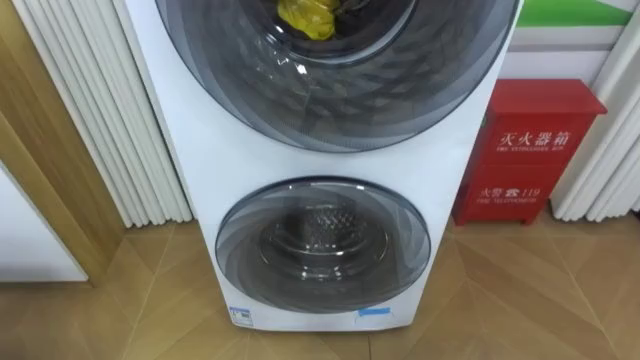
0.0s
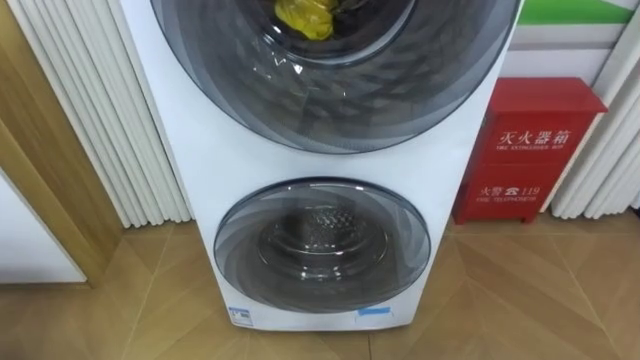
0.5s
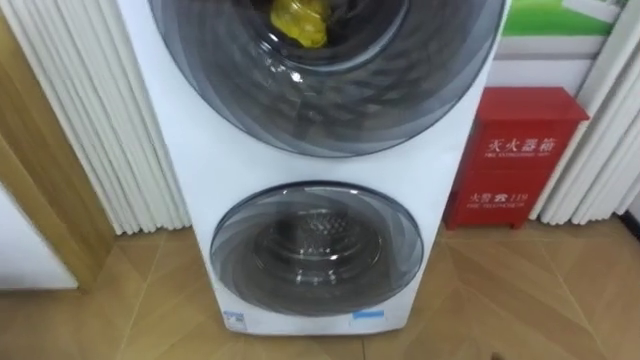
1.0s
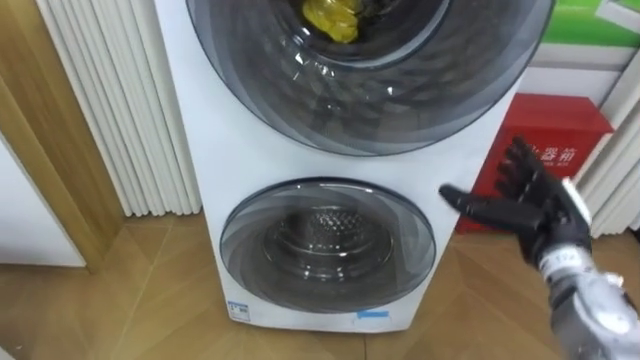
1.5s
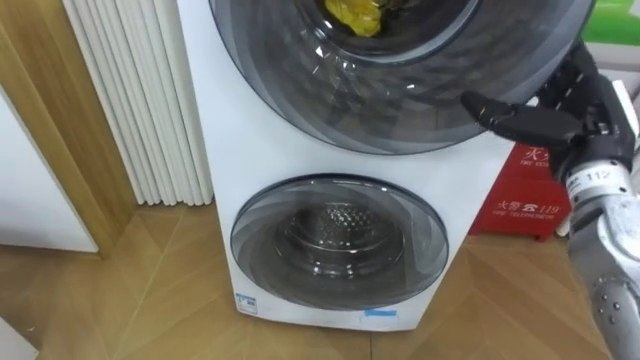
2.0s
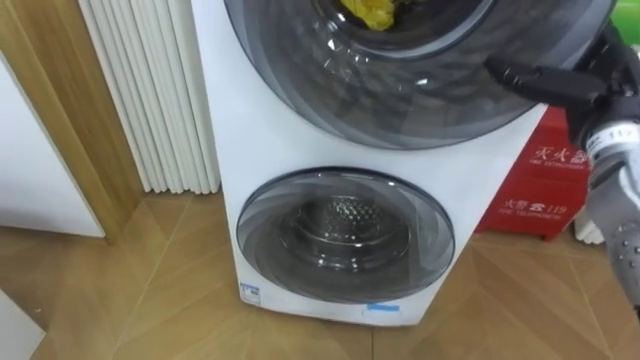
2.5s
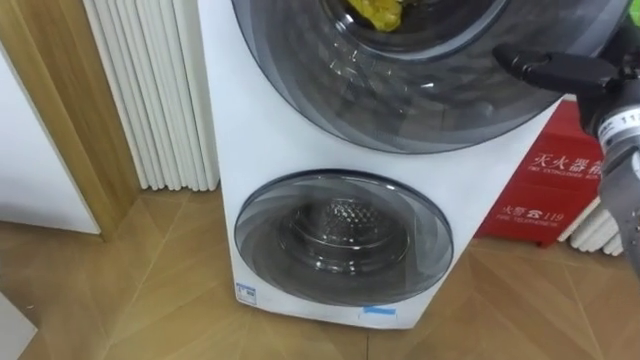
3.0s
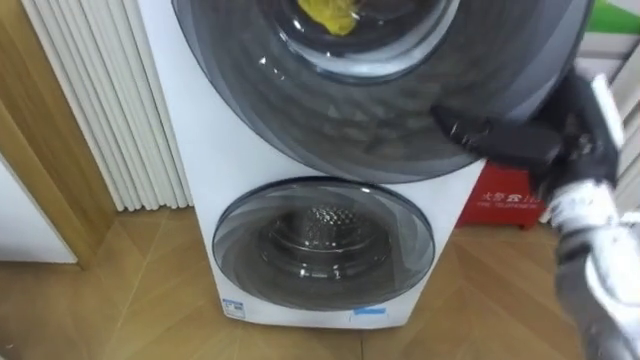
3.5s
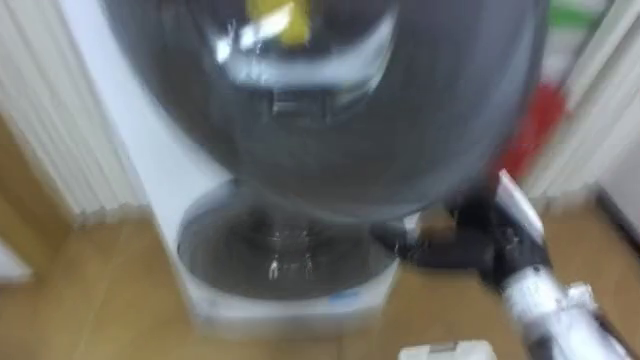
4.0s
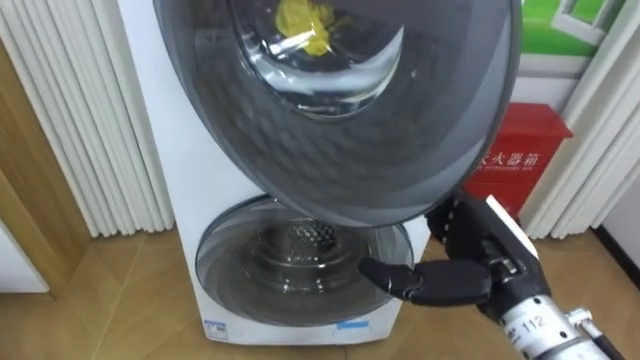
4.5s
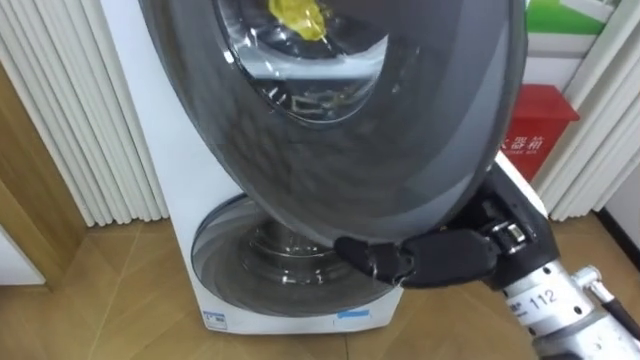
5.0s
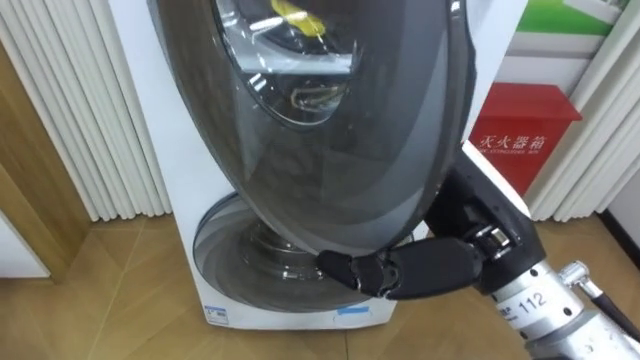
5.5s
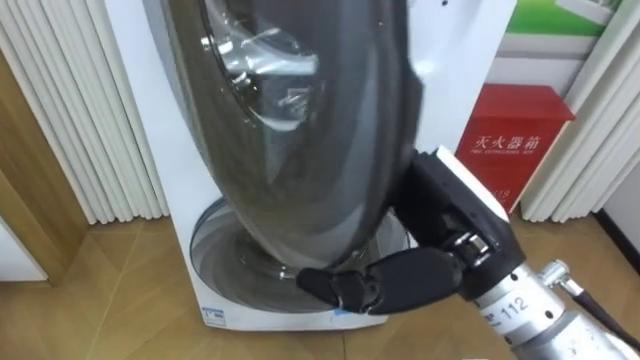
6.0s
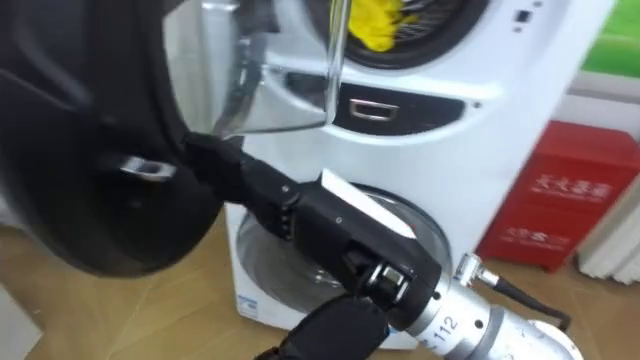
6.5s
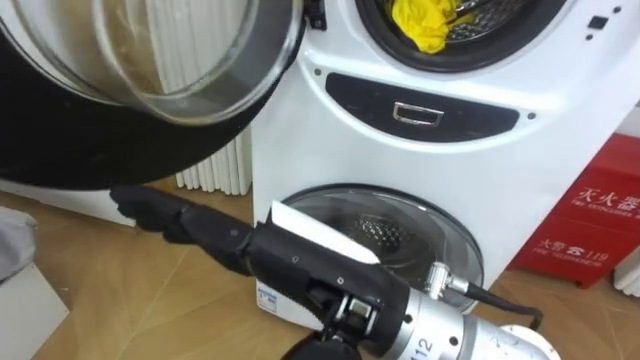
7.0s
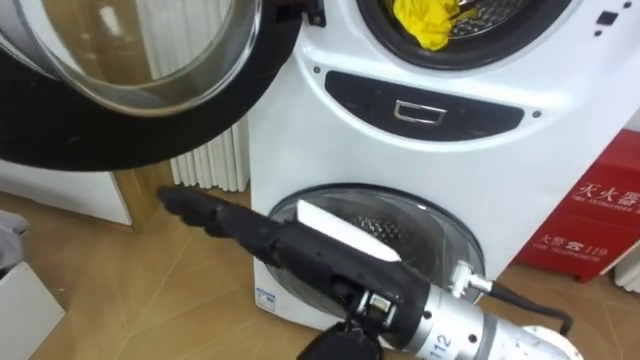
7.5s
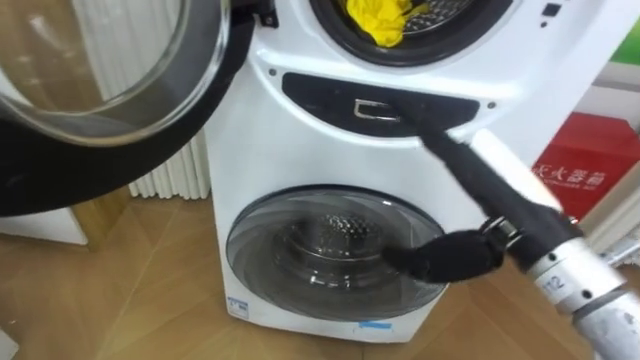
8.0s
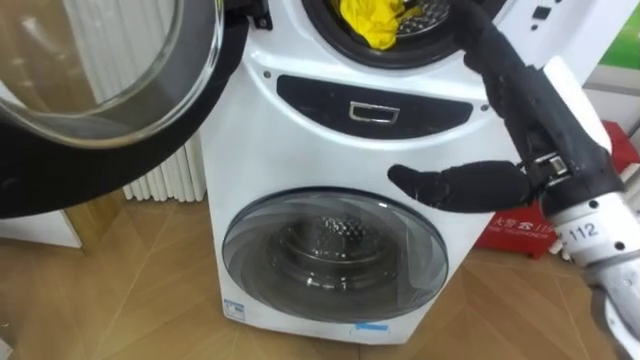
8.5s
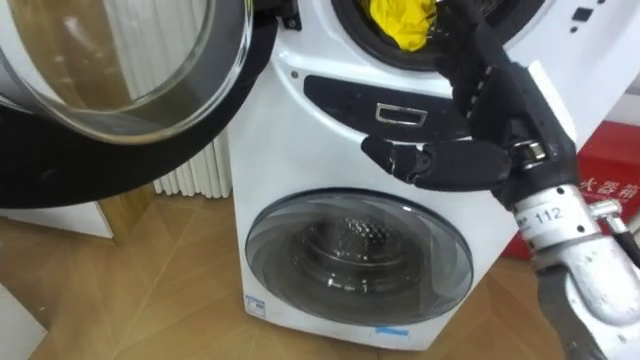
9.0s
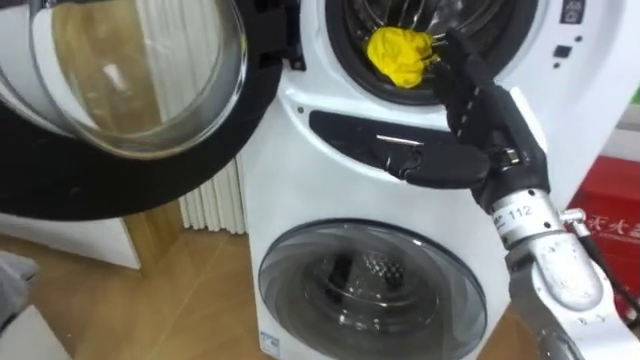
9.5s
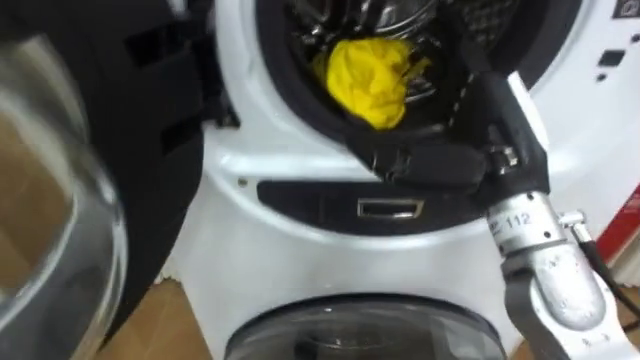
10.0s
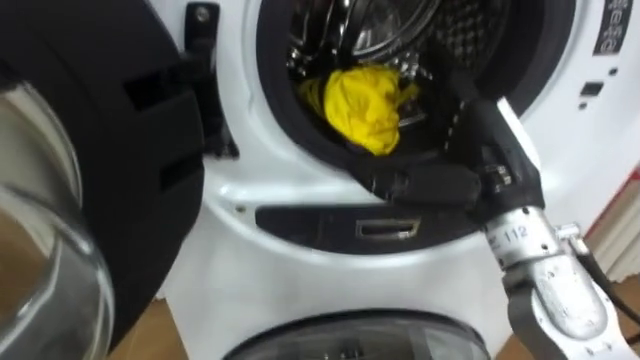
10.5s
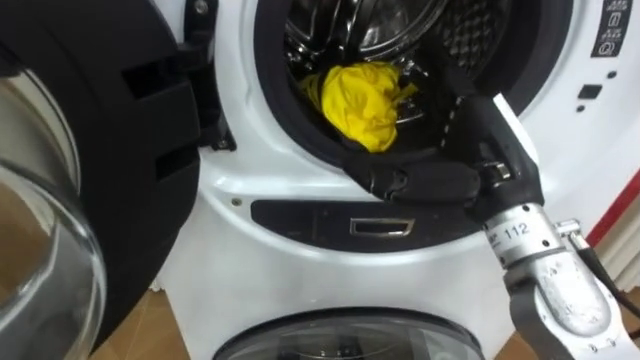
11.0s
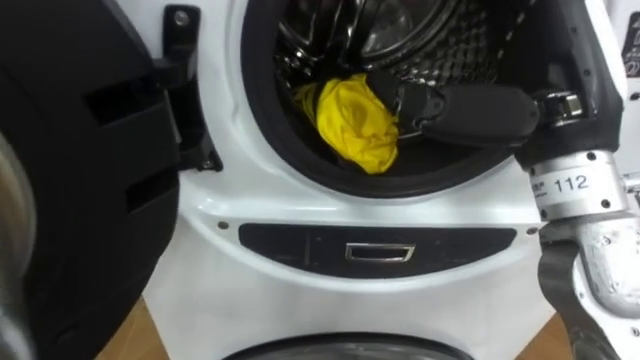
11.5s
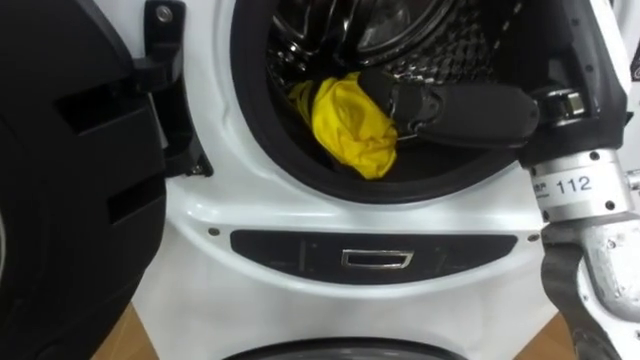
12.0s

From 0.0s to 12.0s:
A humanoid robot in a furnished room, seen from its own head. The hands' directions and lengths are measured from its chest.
Task of the whole recording: Open the washing machine door, take out the yellow clothes, place them in the box on the right, and close the washing machine door.
From 2.0s to 4.0s: The right hand is displaced to the left, backward and downward by some 15 cm.
From 4.0s to 6.0s: The right hand heads upward and to the left, covering about 10 cm.
From 6.0s to 8.0s: The right hand goes to the left and returns, roughly 10 cm each way.
From 8.0s to 10.0s: The right hand changes place by about 5 cm.
From 10.0s to 12.0s: The right hand goes about 10 cm upward.

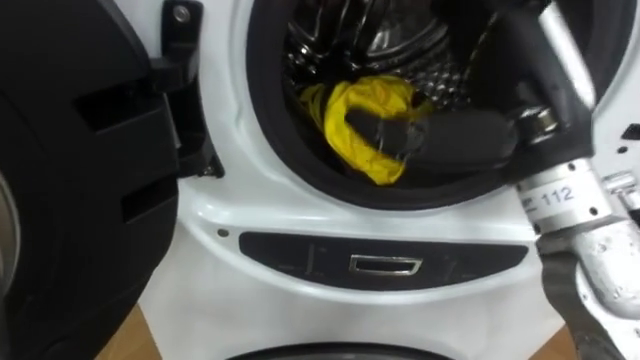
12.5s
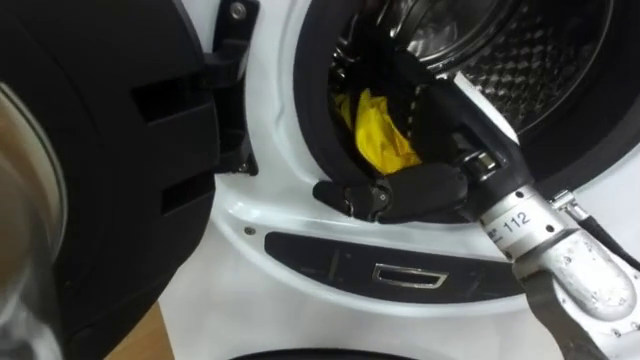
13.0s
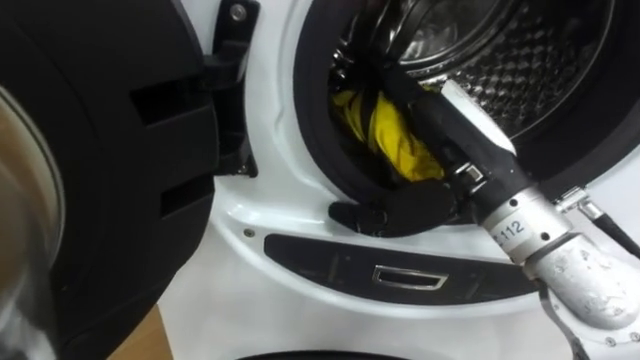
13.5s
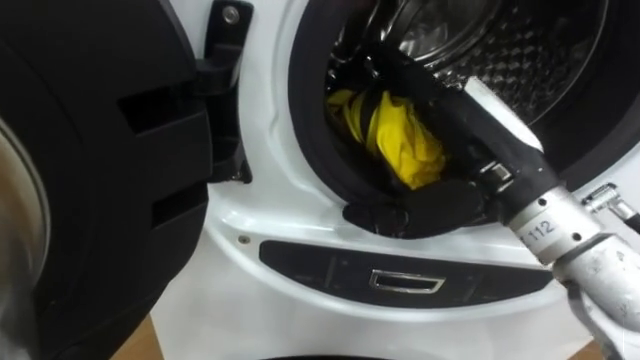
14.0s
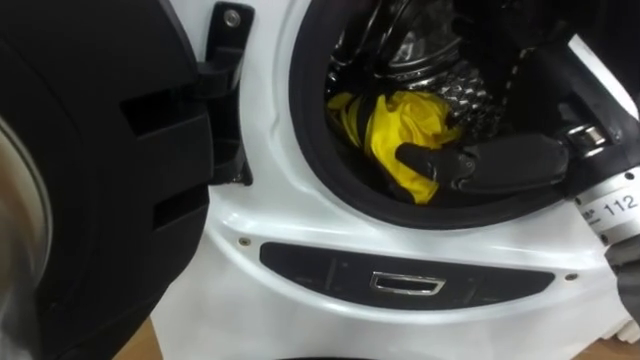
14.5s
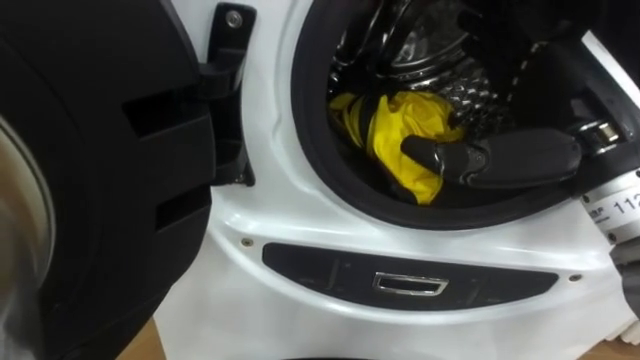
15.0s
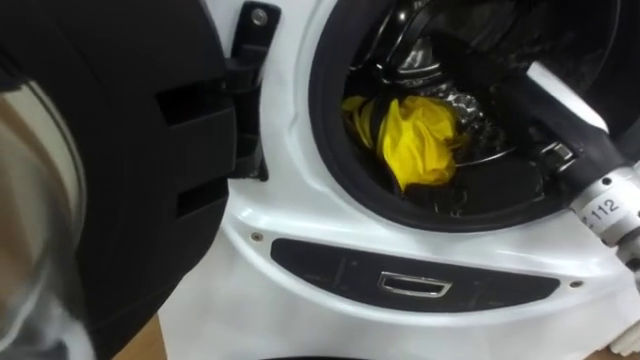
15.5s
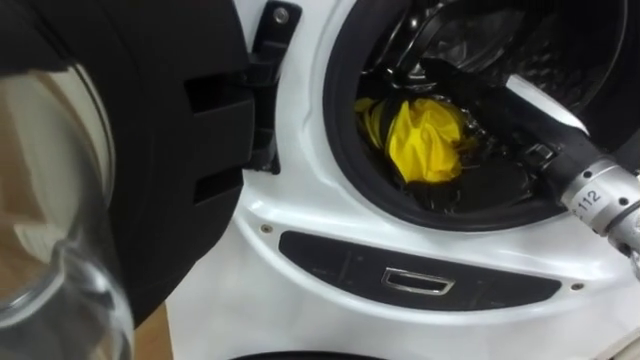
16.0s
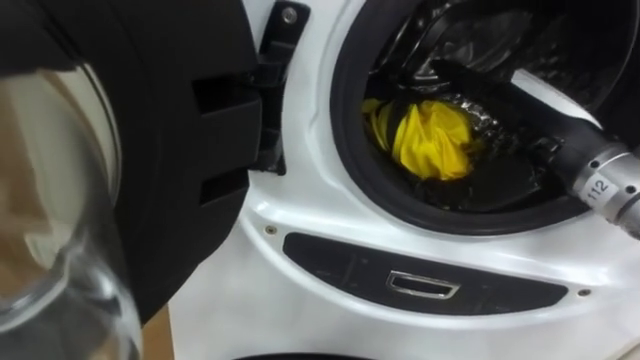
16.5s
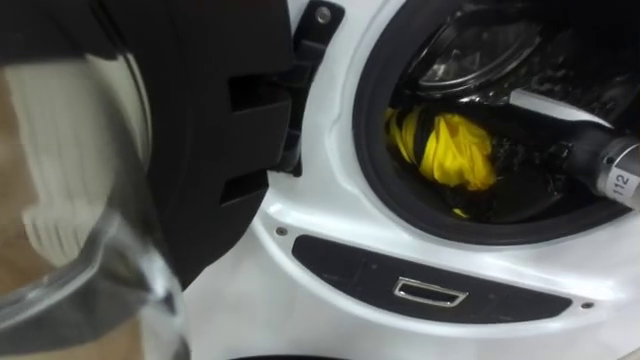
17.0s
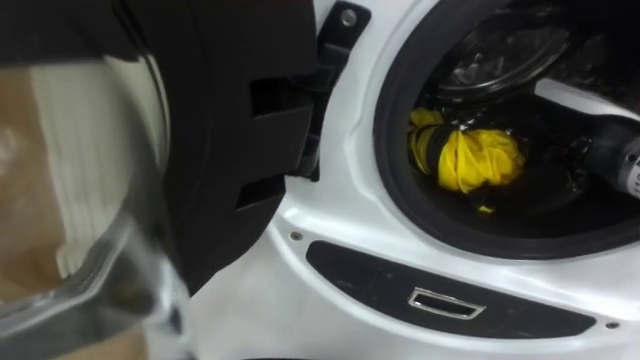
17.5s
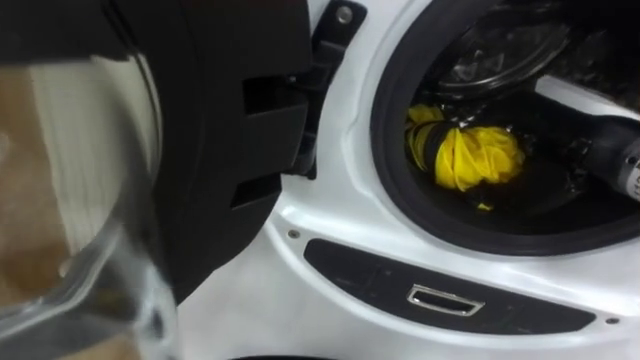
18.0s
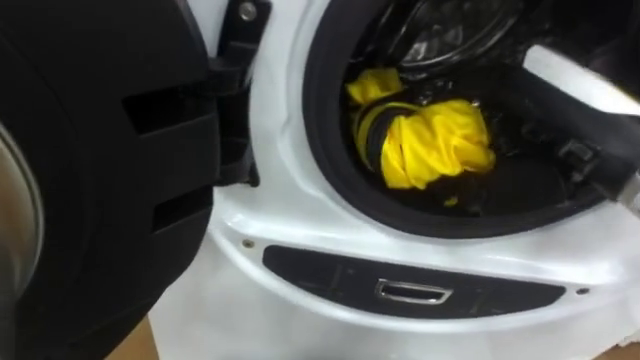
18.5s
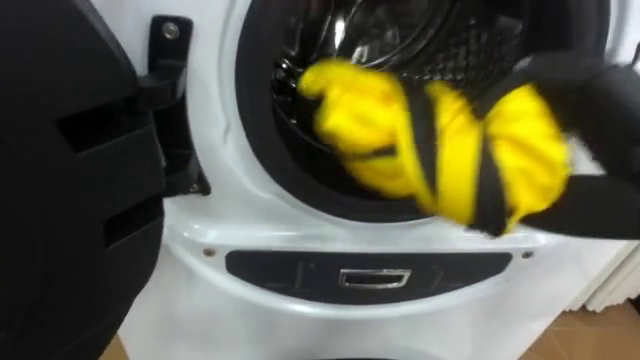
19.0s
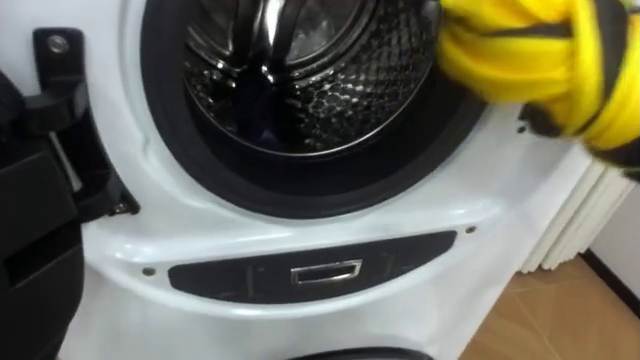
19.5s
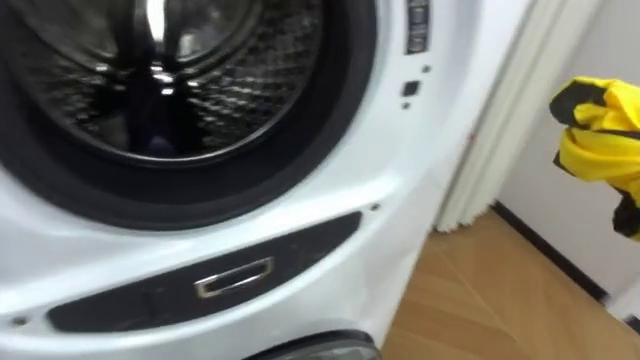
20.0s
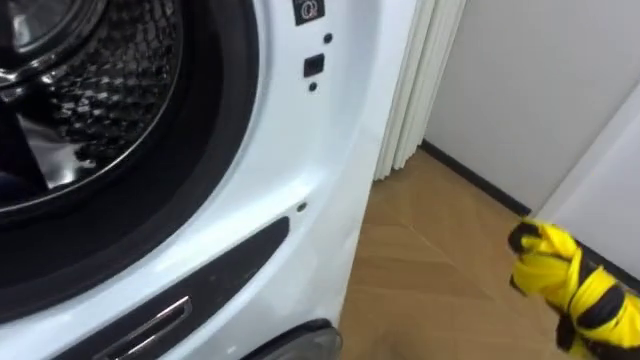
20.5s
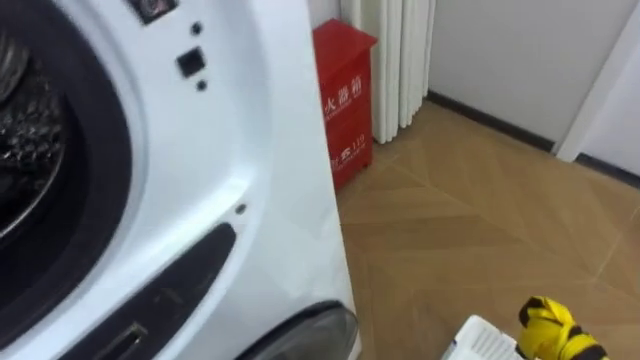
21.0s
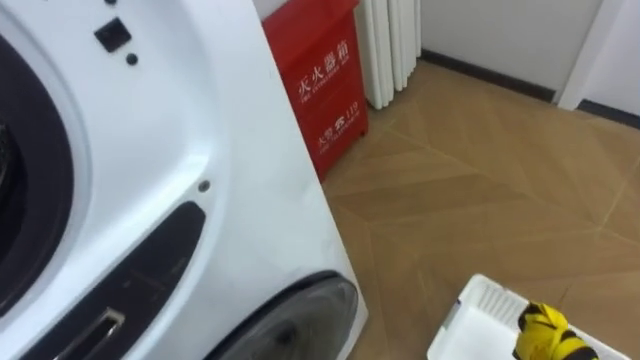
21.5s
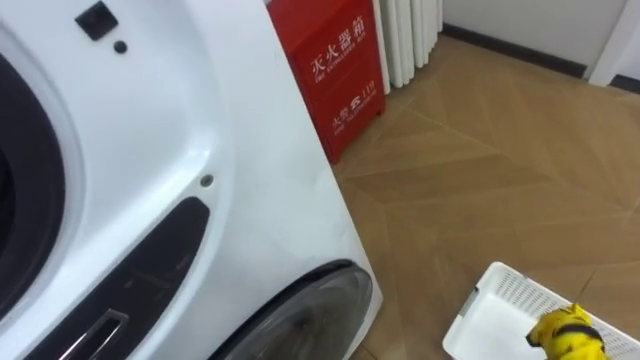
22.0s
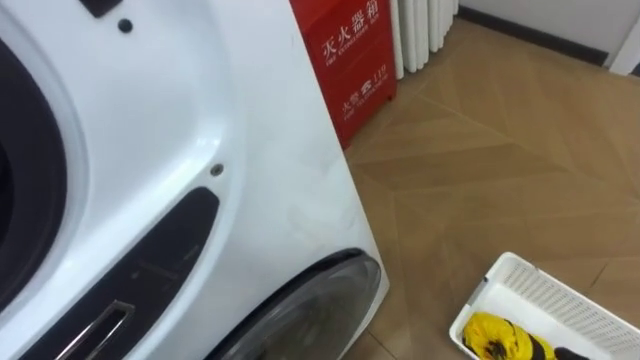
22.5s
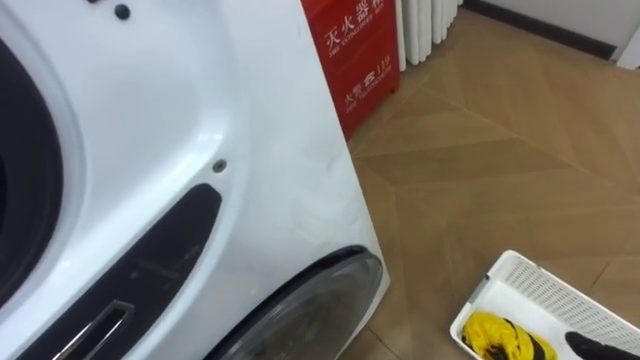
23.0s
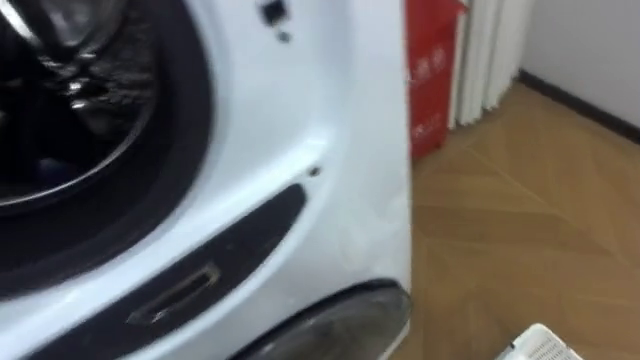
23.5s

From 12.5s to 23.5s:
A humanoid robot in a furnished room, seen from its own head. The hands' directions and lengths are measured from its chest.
Task of the whole recording: Open the washing machine door, take out the yellow clothes, place them in the box on the right, and close the washing machine door.
From 14.5s to 16.0s: The right hand ends up about 5 cm from where it was.
From 16.0s to 18.0s: The right hand closes its fingers.
